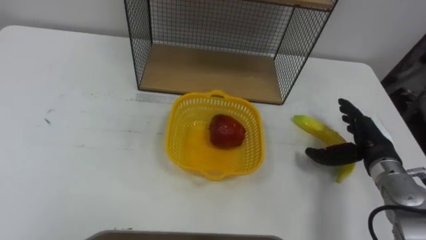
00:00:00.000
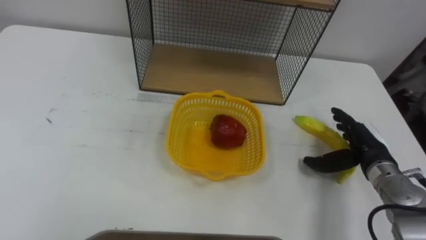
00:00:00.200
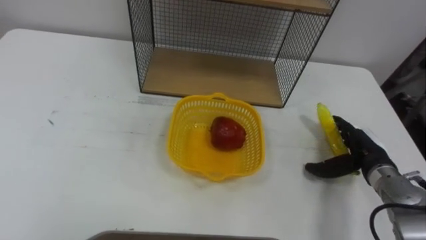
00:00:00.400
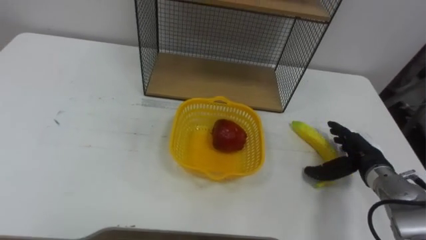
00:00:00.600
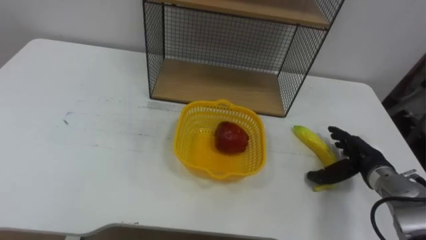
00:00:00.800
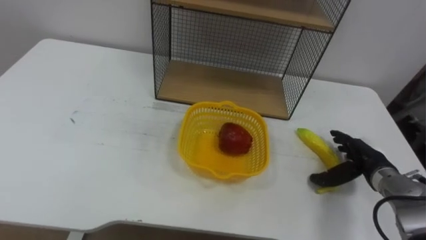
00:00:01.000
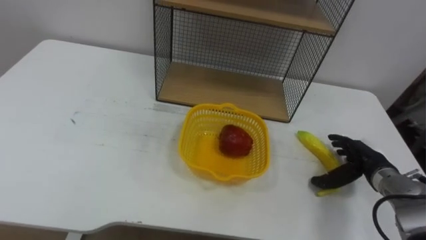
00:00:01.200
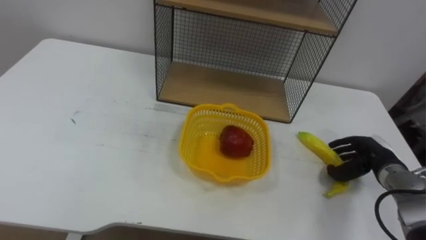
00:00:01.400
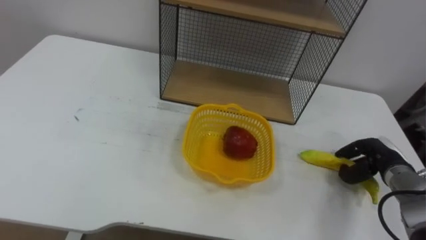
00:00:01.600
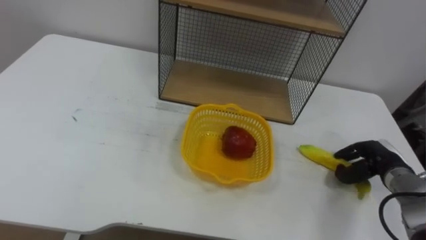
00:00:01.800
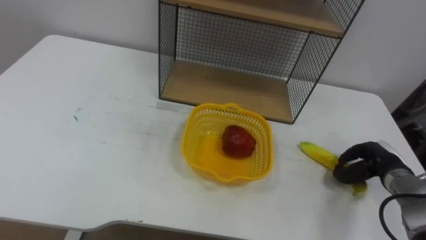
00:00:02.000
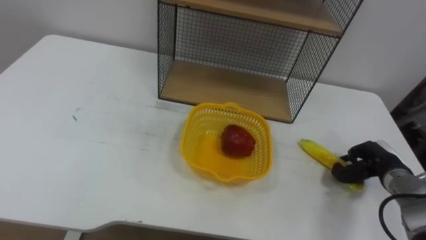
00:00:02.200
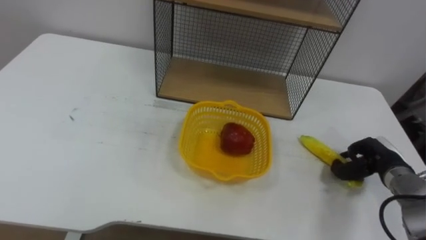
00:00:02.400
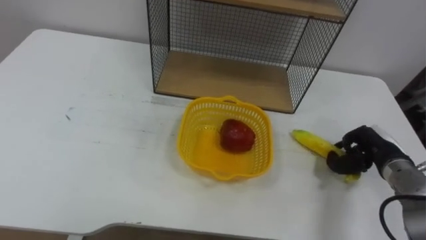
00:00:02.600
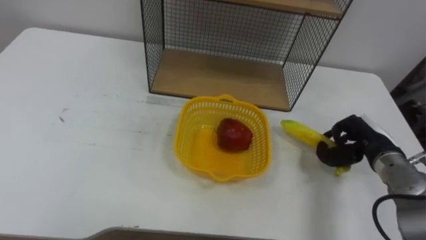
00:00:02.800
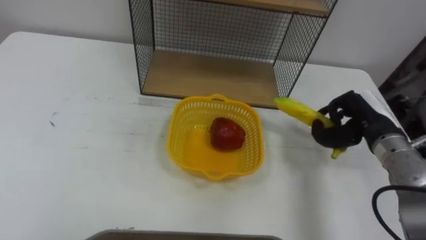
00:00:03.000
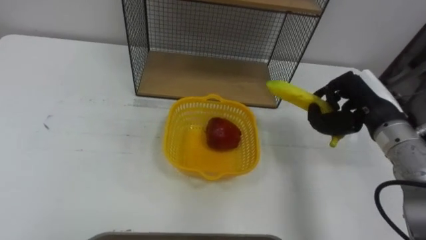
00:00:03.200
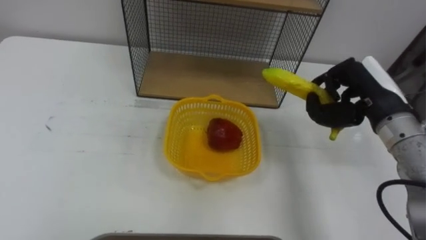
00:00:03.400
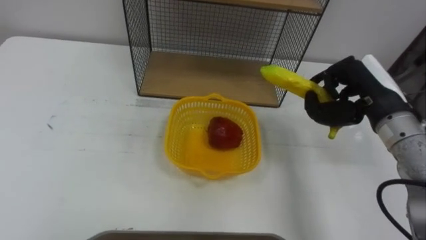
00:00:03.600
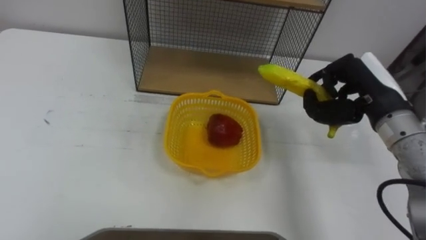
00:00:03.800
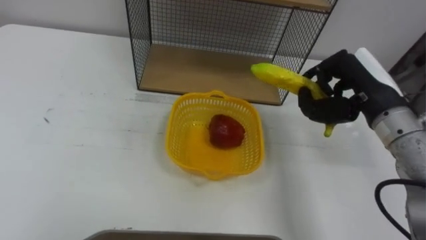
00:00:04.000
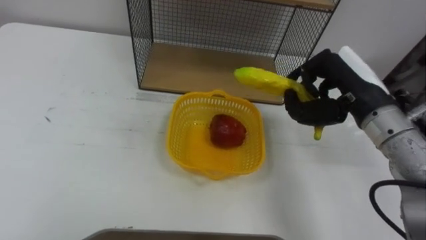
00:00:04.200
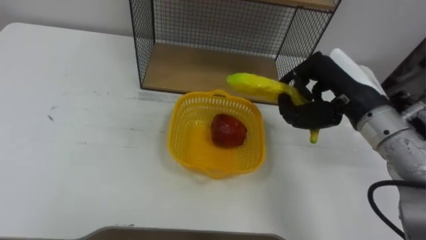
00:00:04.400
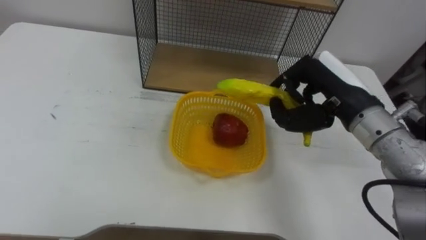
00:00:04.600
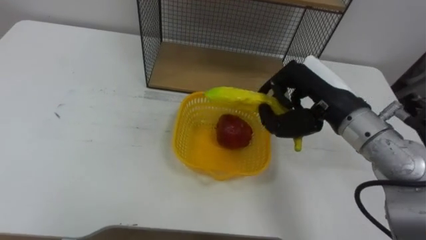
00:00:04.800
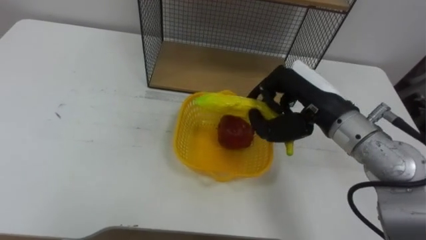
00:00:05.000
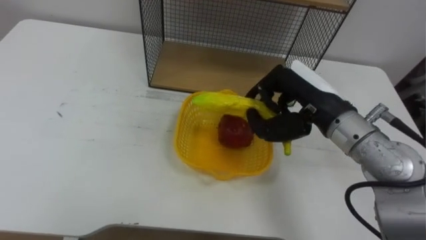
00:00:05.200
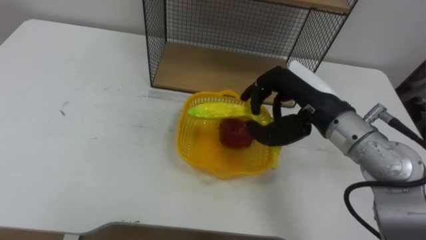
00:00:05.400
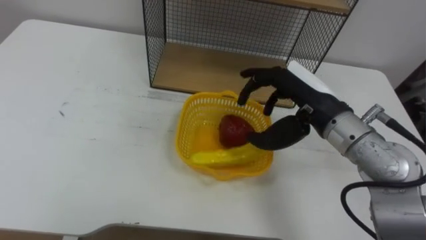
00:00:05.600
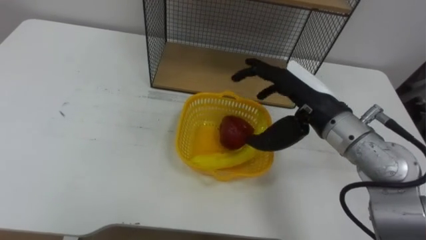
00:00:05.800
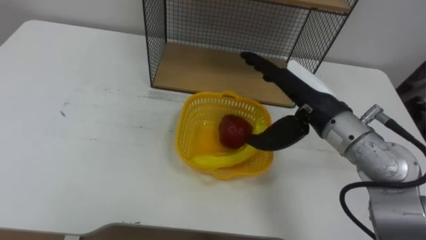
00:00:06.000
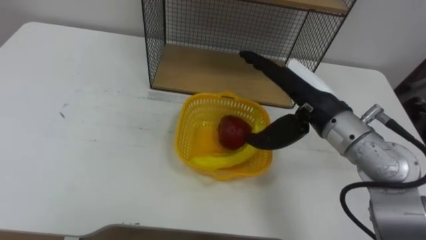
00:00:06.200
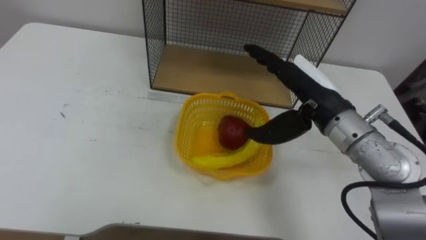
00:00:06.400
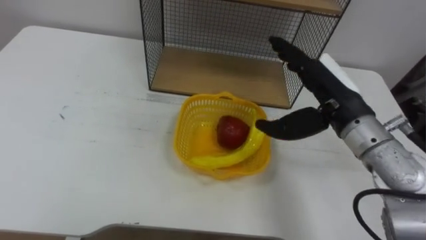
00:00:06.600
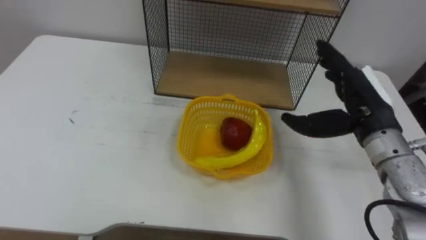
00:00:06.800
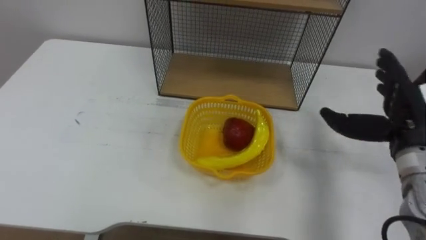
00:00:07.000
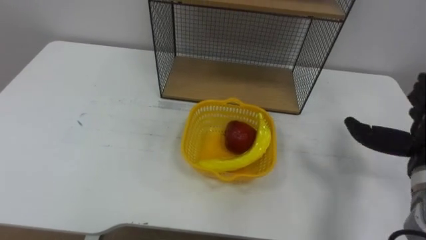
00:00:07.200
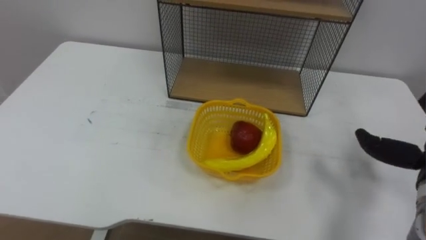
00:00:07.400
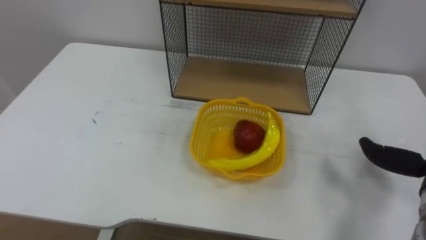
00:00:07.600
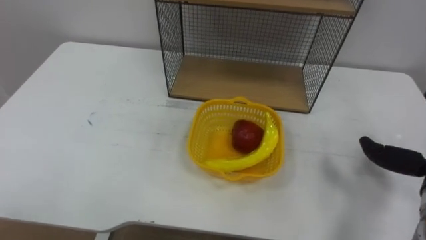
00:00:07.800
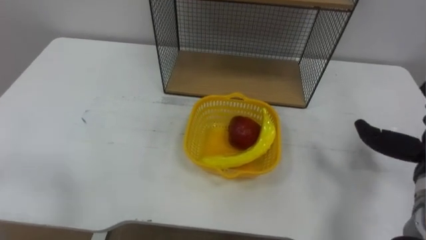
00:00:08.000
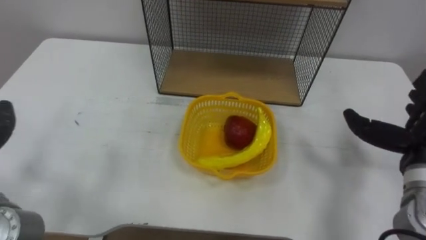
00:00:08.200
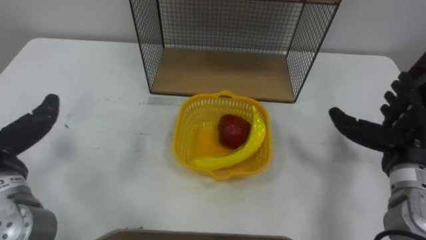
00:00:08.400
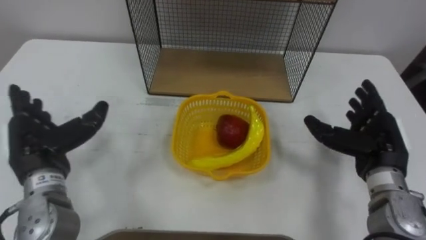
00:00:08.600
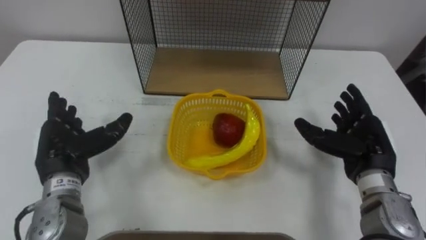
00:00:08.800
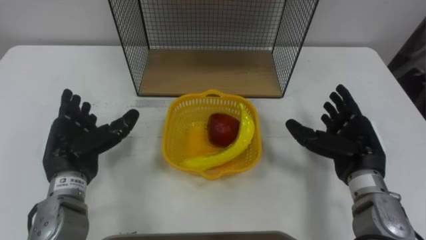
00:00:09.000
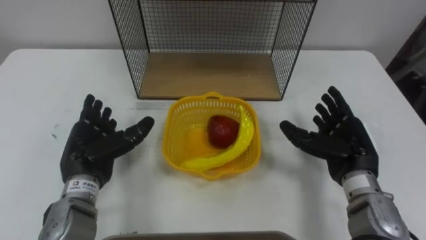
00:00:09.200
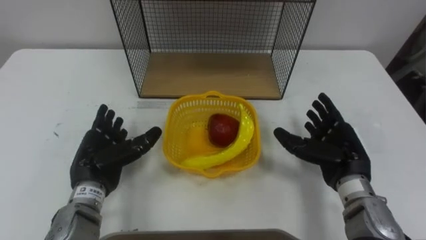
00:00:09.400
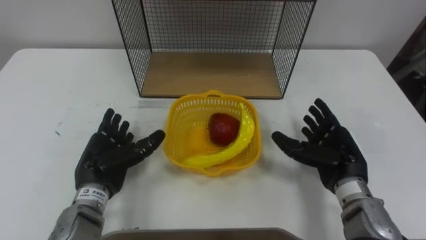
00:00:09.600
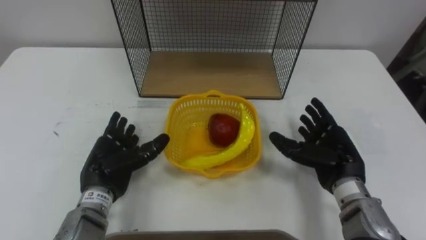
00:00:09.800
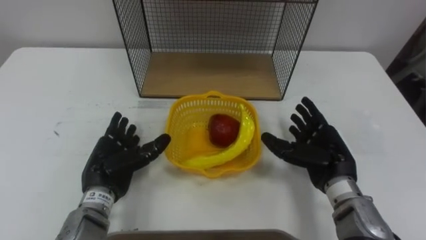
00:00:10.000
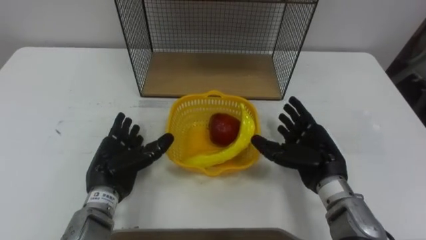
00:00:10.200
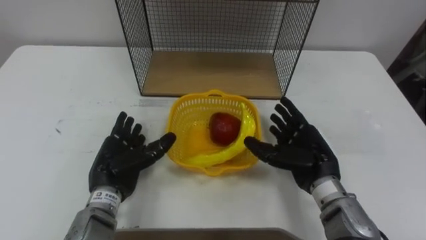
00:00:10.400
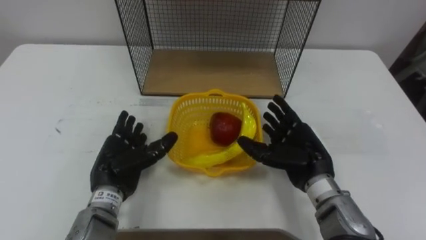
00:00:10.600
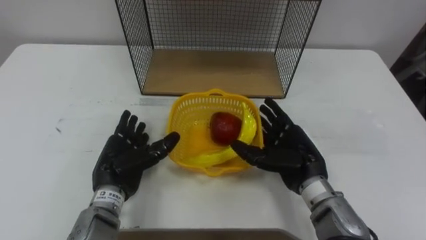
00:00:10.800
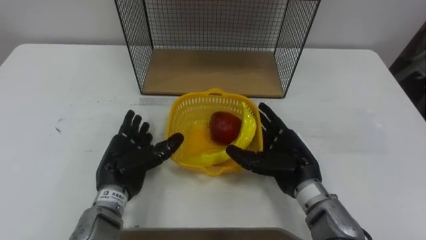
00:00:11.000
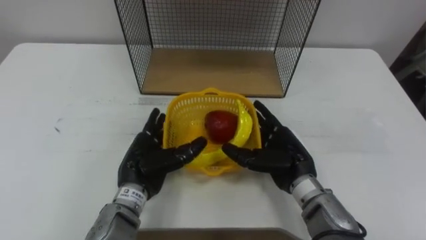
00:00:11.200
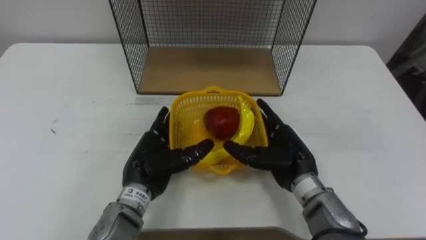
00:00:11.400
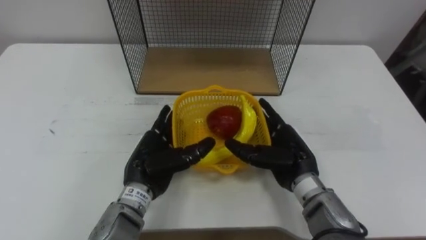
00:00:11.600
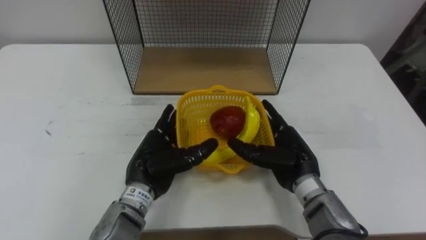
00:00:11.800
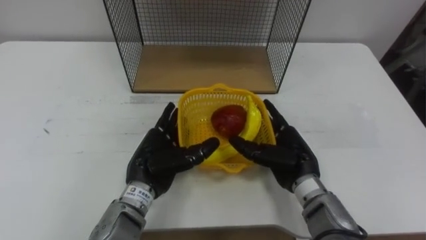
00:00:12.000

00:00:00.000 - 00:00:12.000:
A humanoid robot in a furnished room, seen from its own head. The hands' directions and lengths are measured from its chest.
Task of the whole recording: Put the fruit on the table into the basket, then place the basket on the shelf.
00:00:00.000 - 00:00:01.600: The right hand is displaced downward by approximately 5 cm, and closes.
00:00:01.600 - 00:00:03.000: The right hand heads upward and to the left, covering some 15 cm.
00:00:03.000 - 00:00:04.400: The right hand shifts roughly 15 cm upward and to the left.
00:00:04.400 - 00:00:06.000: The right hand heads to the left, covering approximately 5 cm, and opens its fingers.
00:00:09.000 - 00:00:10.400: The right hand travels to the left by some 5 cm; the left hand moves to the right, roughly 5 cm.
00:00:10.400 - 00:00:12.000: The left hand travels to the right by about 10 cm.

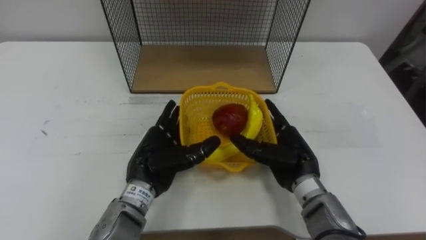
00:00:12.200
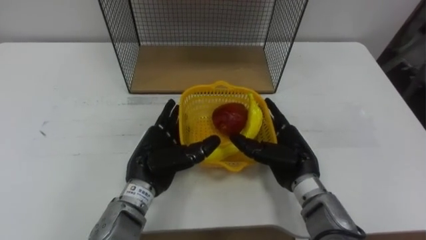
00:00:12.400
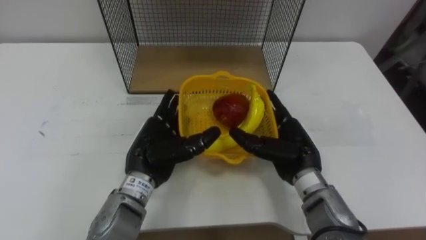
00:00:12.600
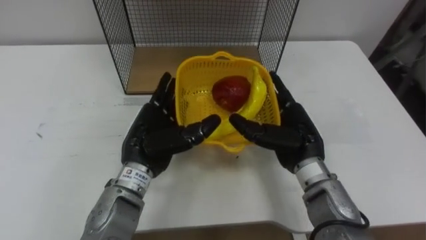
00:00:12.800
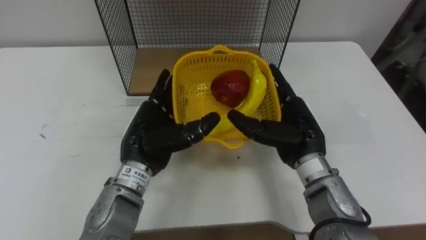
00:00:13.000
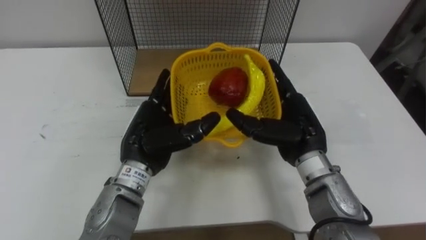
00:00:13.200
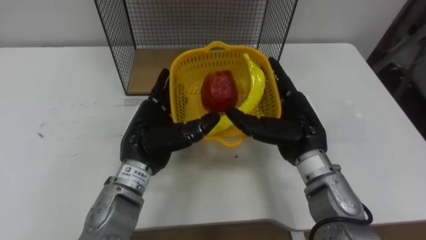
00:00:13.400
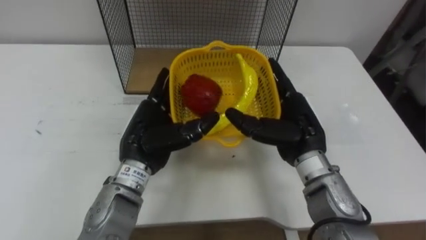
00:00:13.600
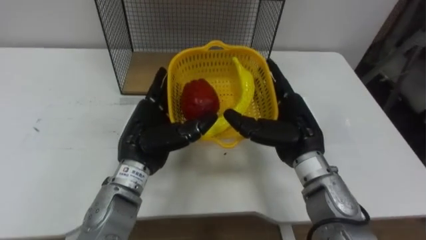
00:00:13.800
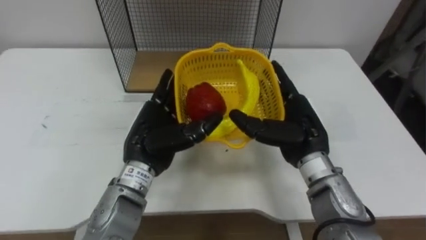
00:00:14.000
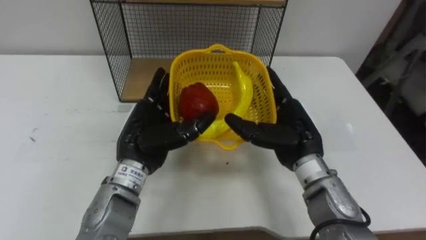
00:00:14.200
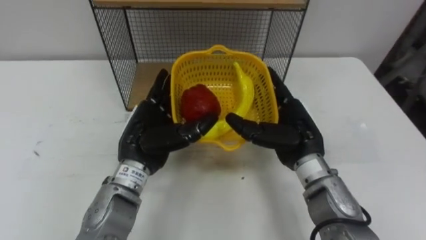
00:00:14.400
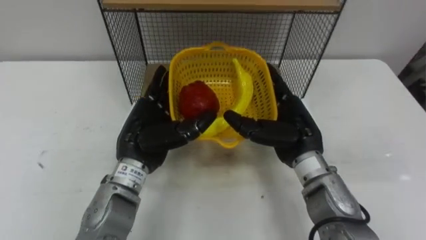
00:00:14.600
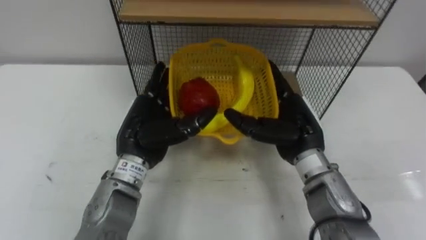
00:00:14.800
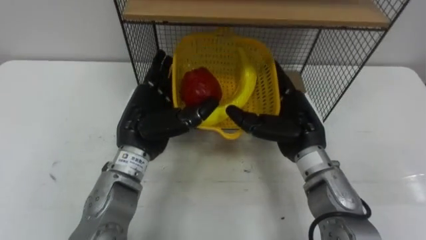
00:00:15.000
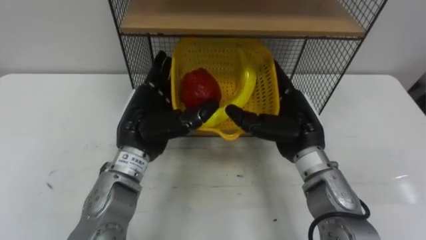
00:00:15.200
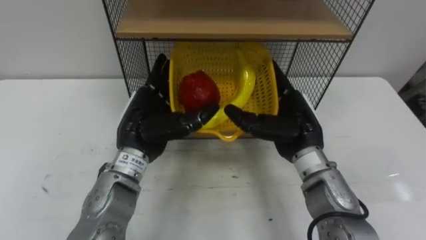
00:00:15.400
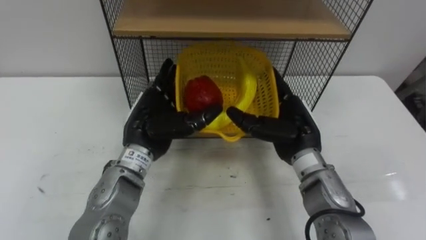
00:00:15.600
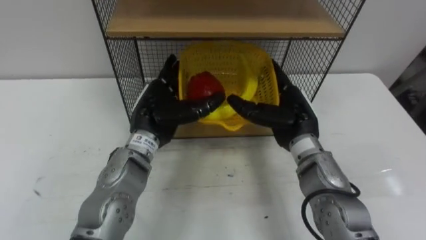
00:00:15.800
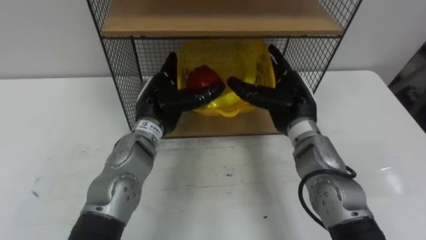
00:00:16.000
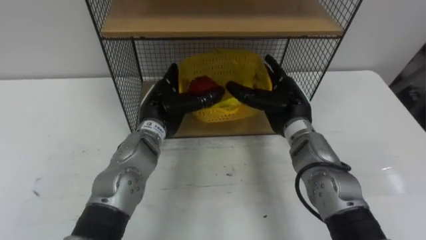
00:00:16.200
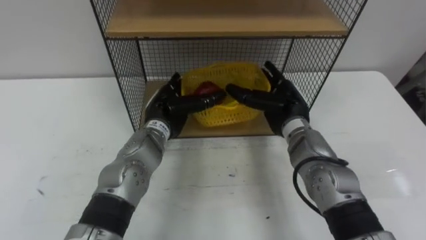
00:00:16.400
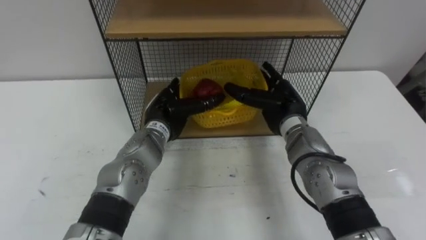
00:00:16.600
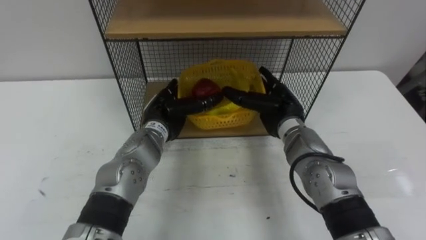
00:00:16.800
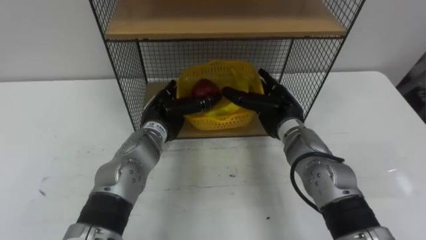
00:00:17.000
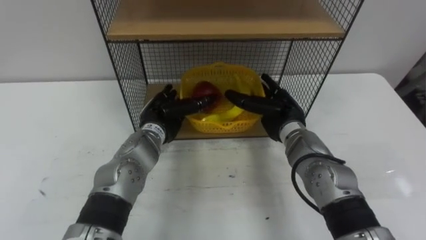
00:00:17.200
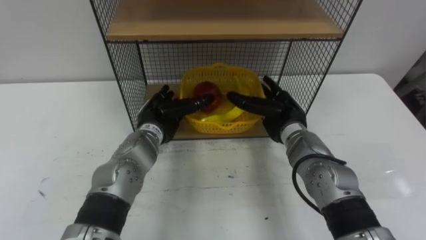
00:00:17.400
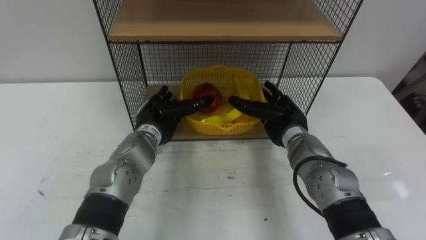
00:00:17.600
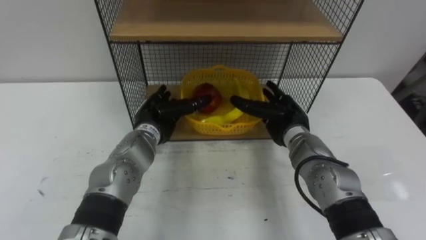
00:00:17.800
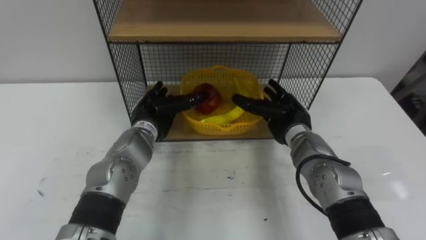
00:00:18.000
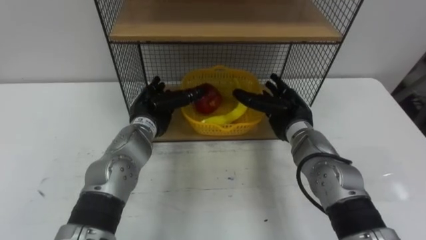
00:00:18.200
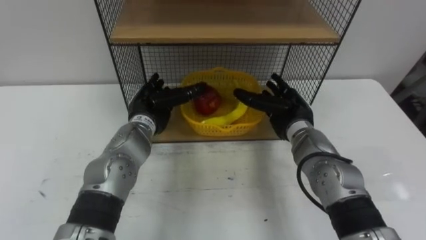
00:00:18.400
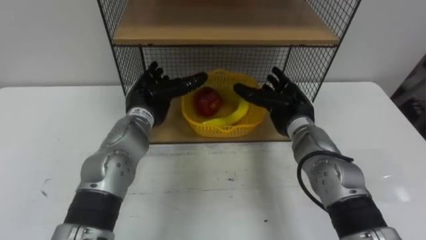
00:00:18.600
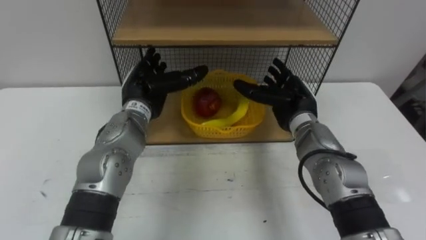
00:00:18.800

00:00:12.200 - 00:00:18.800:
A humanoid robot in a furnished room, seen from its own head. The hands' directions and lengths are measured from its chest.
Task of the whole recording: Put the fruit on the table into the basket, then place the basket on the shelf.
00:00:12.200 - 00:00:13.800: The left hand shifts by some 5 cm. Meanwhile the right hand heads upward, covering about 5 cm.
00:00:15.400 - 00:00:17.200: The left hand moves downward and forward, about 10 cm; the right hand moves forward and downward, roughly 10 cm.
00:00:17.200 - 00:00:18.800: The left hand heads upward, covering roughly 5 cm.
